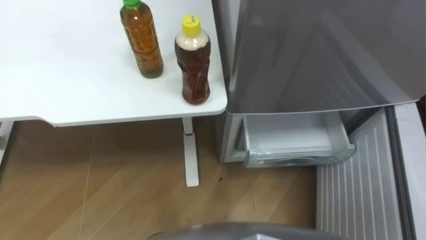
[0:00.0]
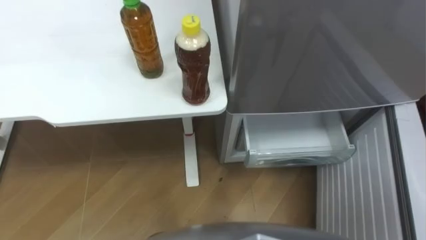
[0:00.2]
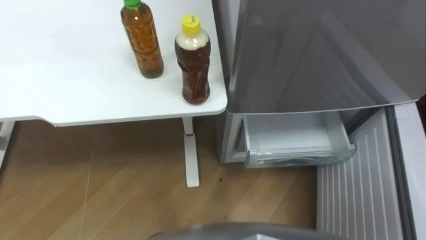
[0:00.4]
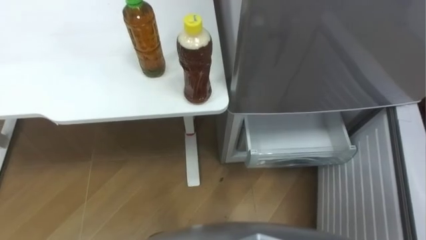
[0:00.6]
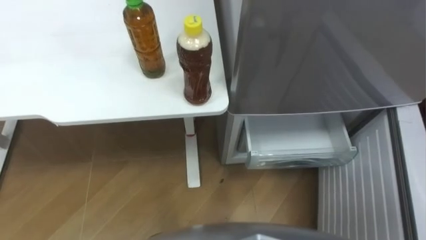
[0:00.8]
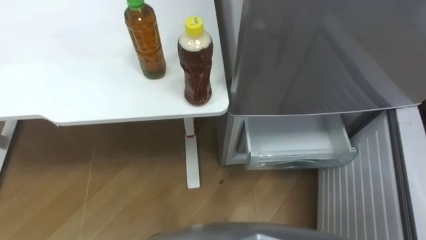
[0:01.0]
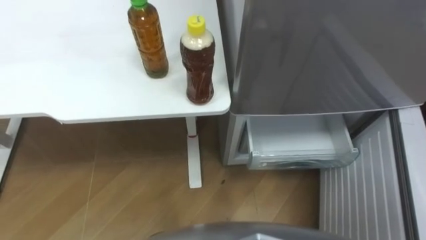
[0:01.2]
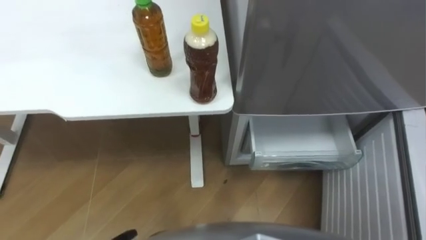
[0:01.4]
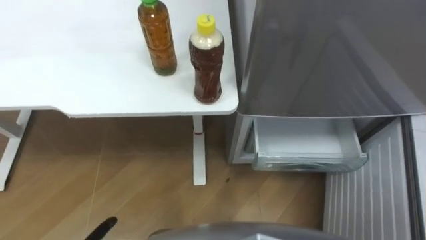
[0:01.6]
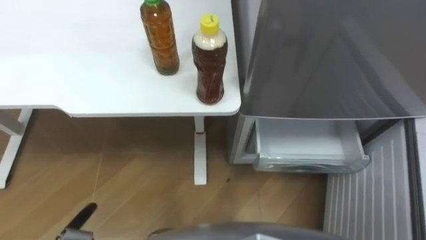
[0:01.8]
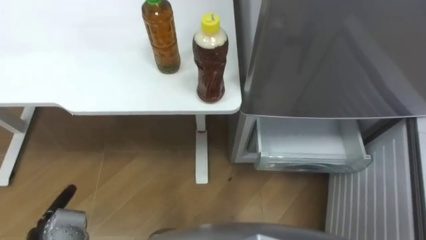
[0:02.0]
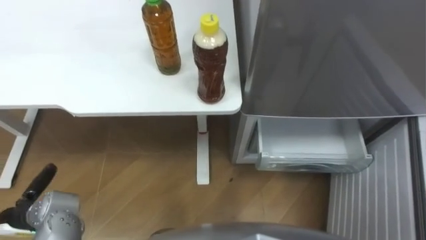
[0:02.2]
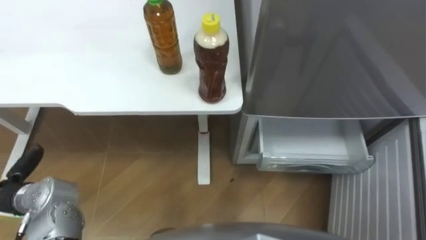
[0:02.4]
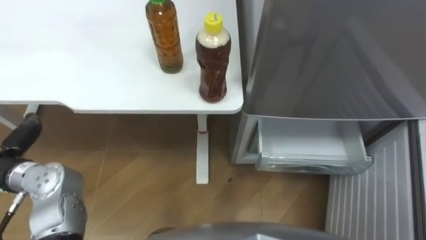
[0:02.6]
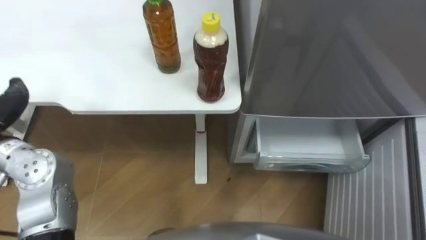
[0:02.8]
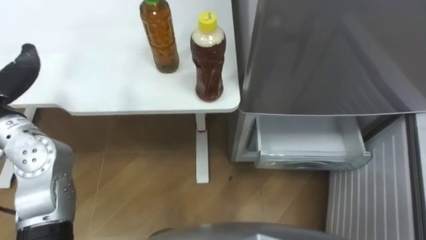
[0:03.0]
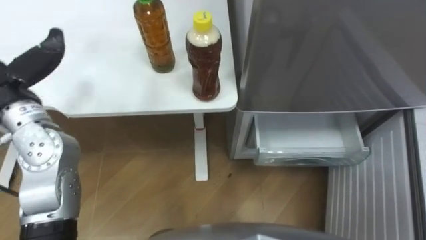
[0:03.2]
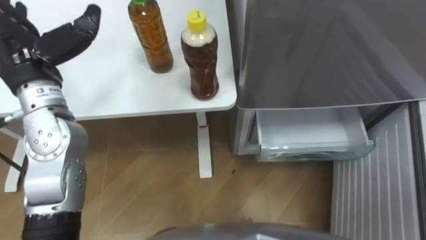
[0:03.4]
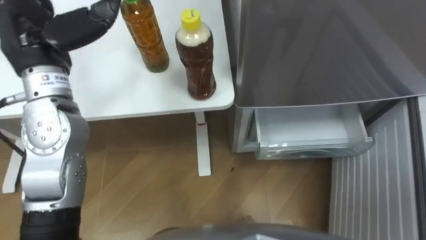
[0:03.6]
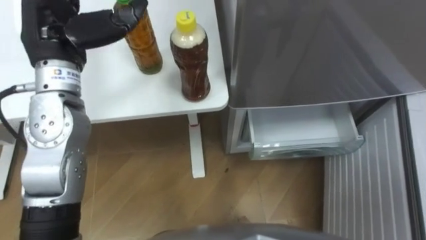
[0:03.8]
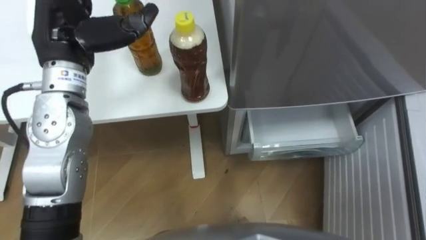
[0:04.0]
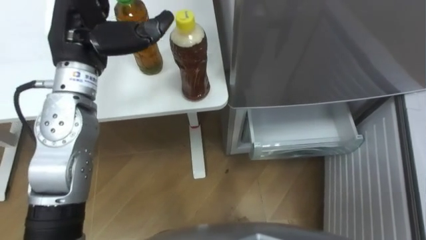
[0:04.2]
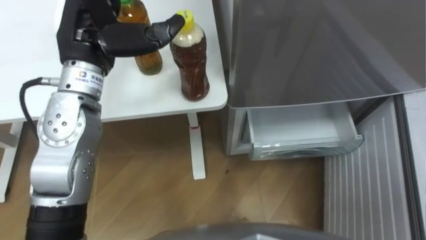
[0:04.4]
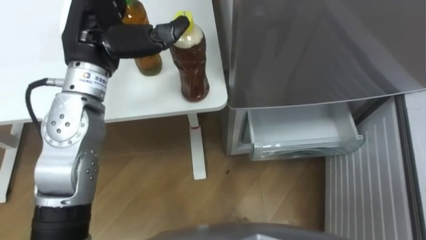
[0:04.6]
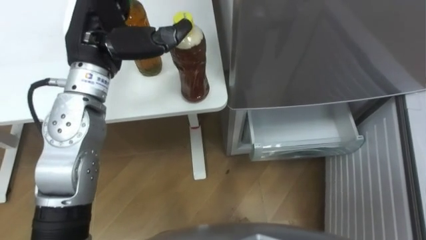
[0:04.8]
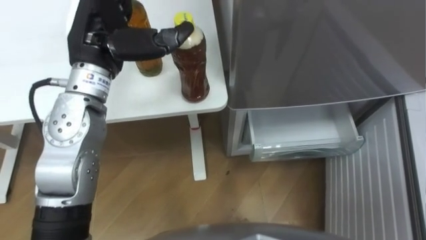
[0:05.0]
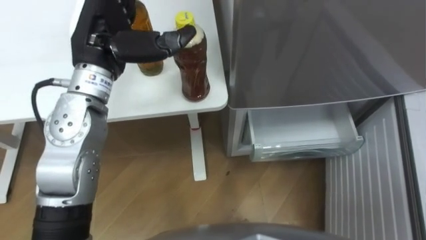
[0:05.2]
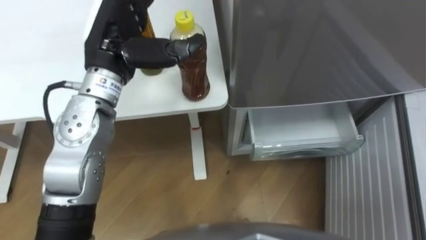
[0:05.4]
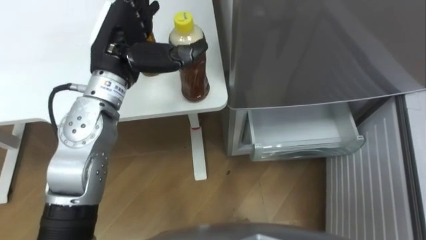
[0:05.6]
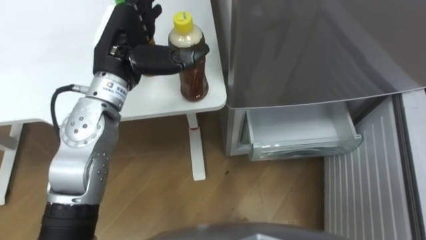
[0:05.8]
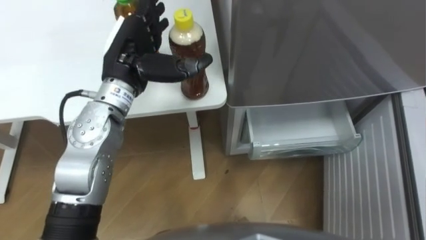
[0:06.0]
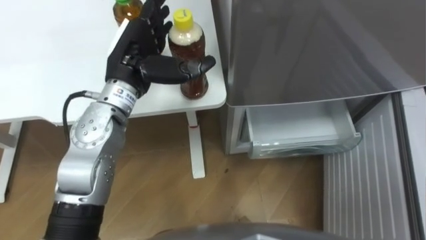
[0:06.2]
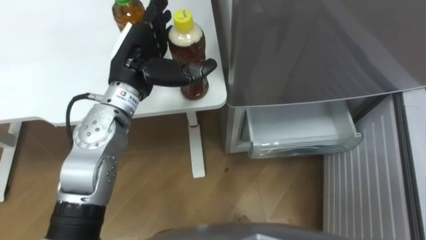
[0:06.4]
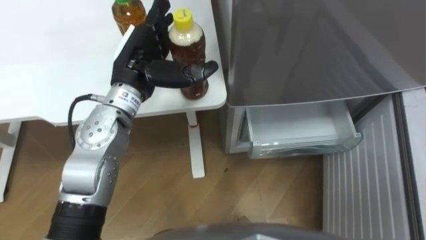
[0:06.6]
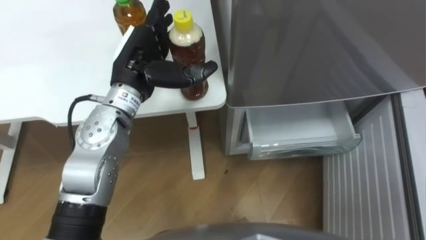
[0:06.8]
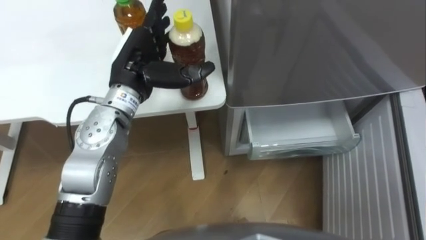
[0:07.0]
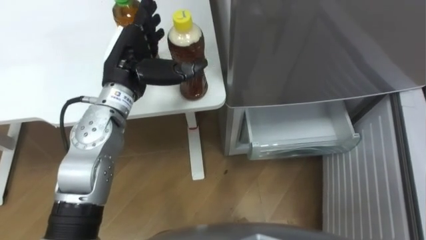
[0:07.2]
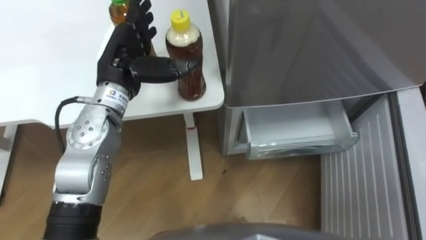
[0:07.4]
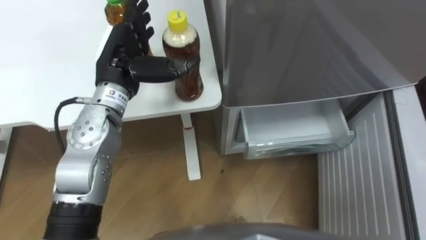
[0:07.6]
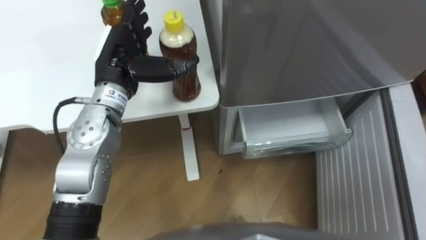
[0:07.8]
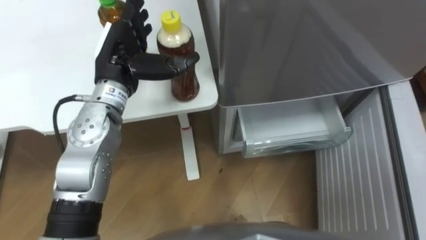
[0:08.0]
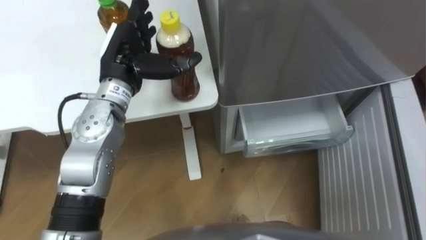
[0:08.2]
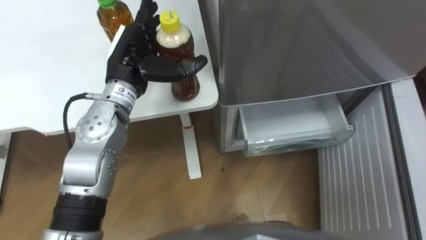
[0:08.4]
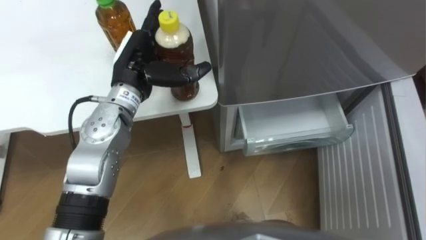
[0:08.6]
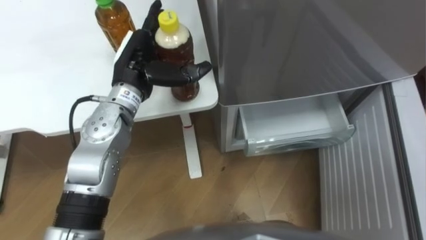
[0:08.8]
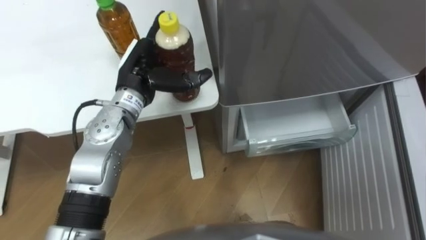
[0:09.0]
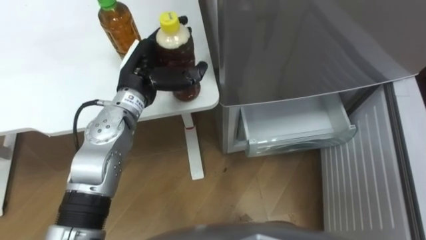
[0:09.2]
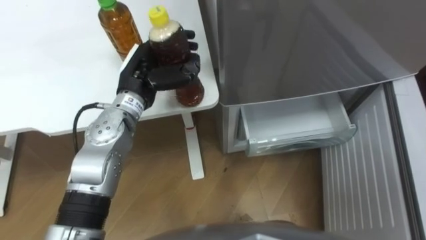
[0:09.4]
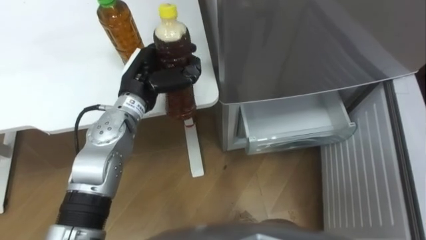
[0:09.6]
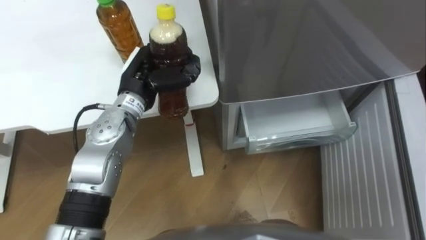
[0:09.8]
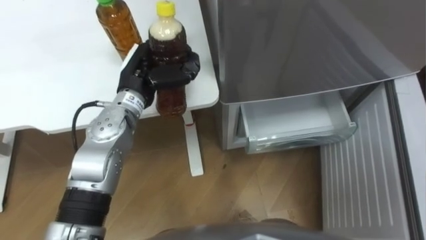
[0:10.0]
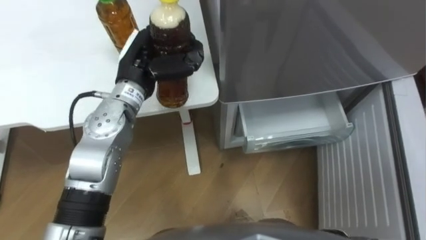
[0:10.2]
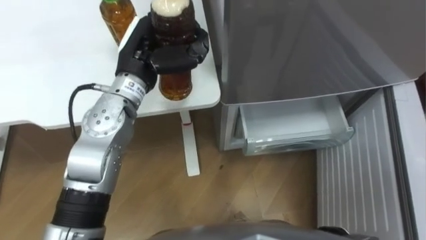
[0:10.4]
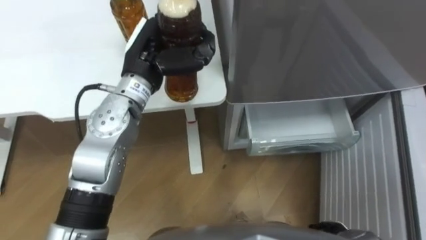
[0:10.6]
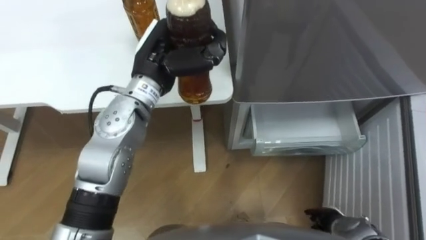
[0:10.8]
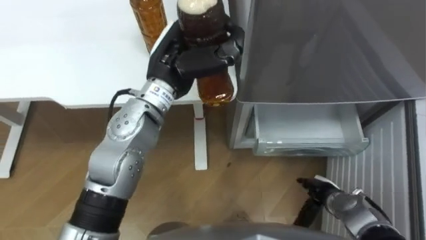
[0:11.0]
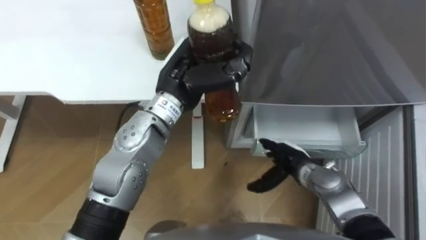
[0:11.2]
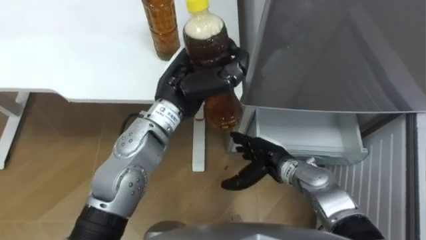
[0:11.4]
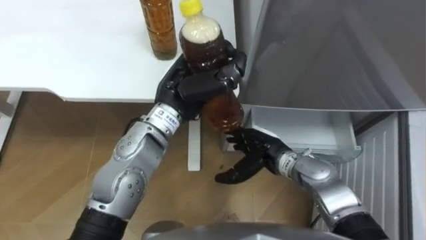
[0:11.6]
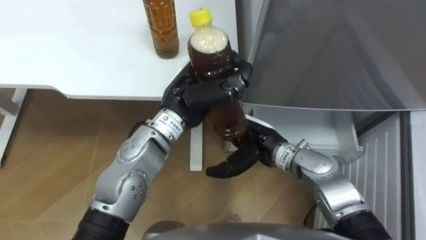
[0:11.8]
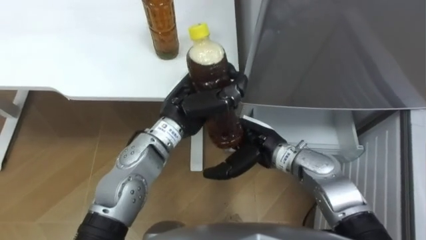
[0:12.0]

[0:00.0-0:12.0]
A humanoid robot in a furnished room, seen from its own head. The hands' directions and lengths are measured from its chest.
Task of the whole recording: Place the drink on the table on the bottom shelf of the refrigerator, then close the drawer and the refrigerator door.
0:04.4 to 0:06.0: The left hand heads downward, covering approximately 5 cm.
0:09.0 to 0:10.4: The left hand closes its fingers.
0:10.4 to 0:12.0: The left hand travels to the right, downward and backward by roughly 10 cm.

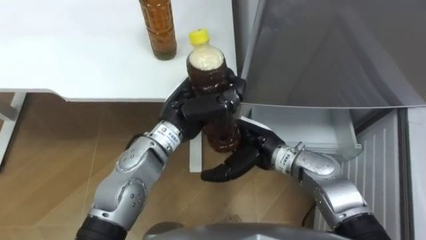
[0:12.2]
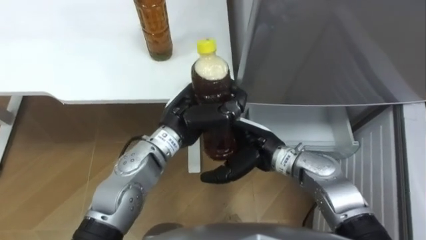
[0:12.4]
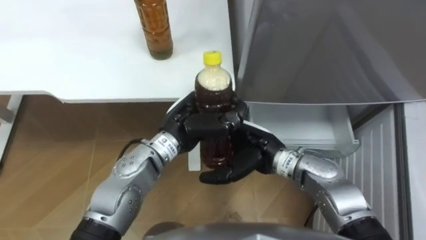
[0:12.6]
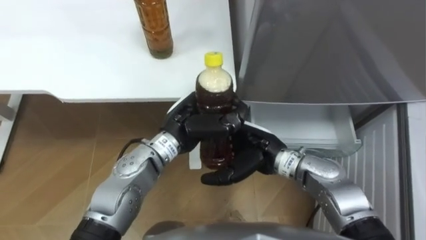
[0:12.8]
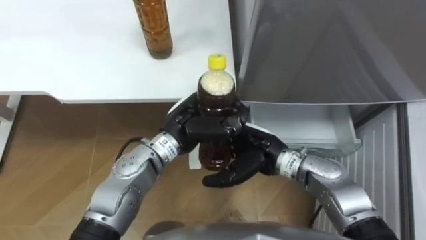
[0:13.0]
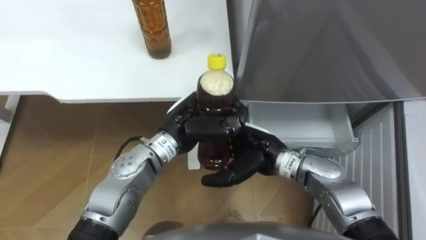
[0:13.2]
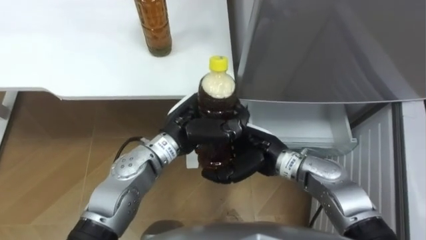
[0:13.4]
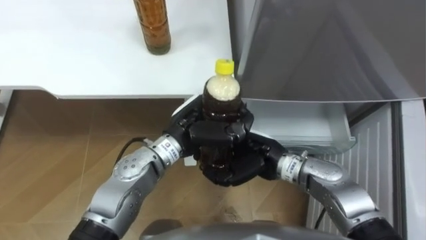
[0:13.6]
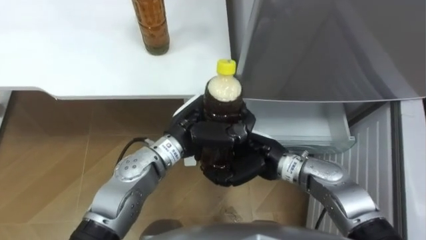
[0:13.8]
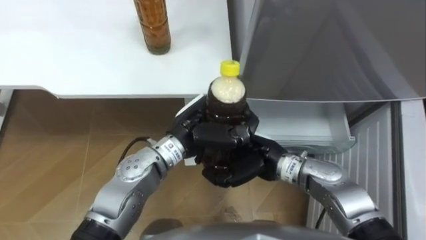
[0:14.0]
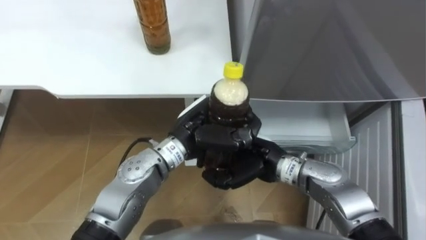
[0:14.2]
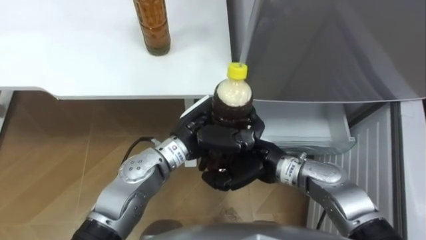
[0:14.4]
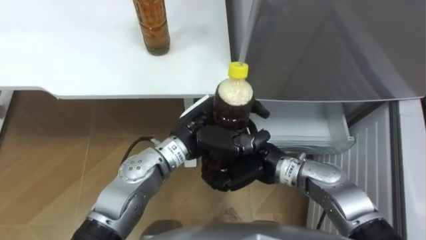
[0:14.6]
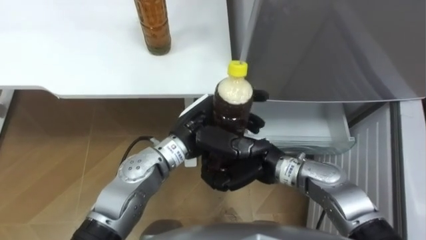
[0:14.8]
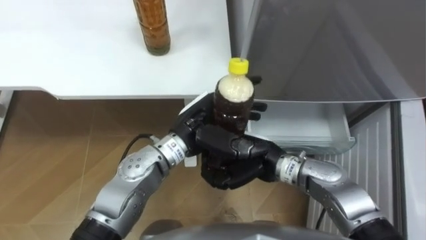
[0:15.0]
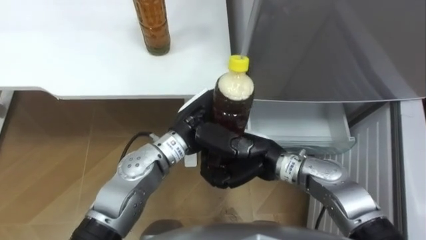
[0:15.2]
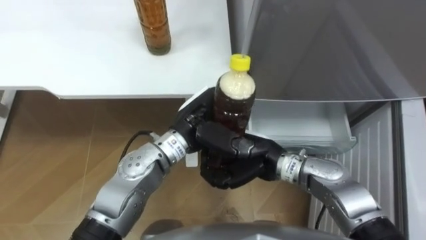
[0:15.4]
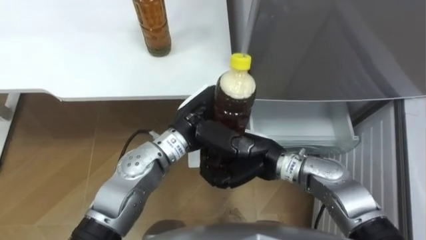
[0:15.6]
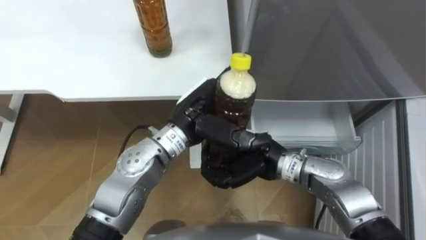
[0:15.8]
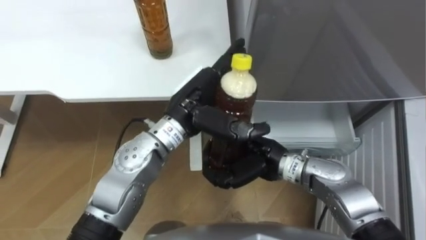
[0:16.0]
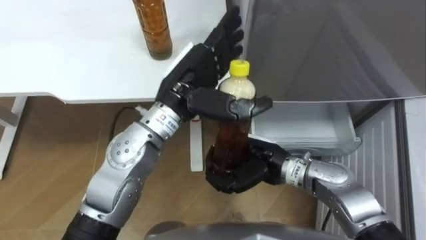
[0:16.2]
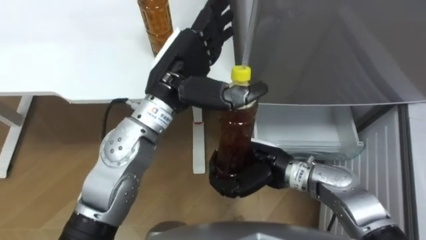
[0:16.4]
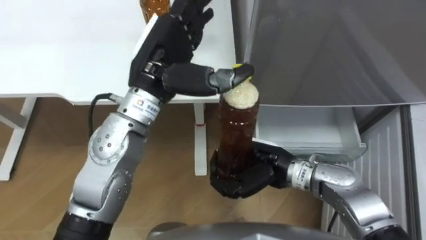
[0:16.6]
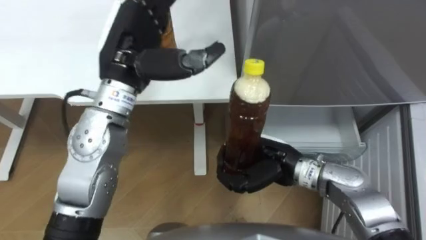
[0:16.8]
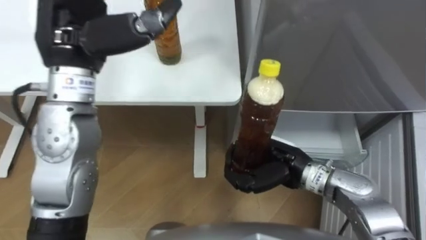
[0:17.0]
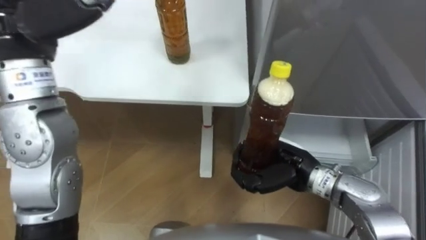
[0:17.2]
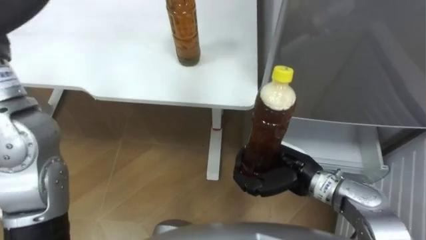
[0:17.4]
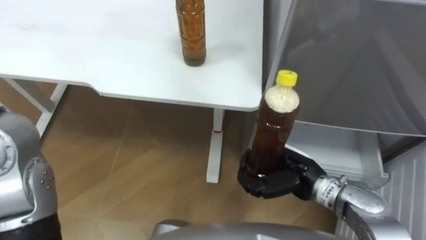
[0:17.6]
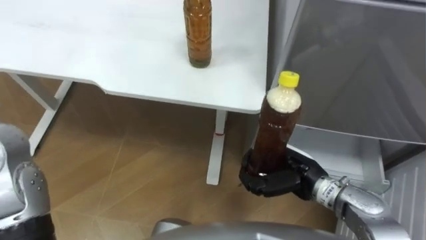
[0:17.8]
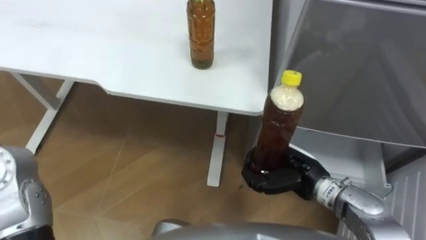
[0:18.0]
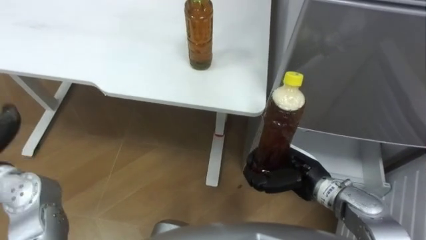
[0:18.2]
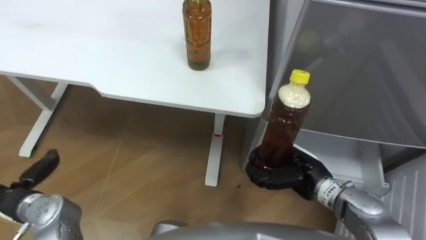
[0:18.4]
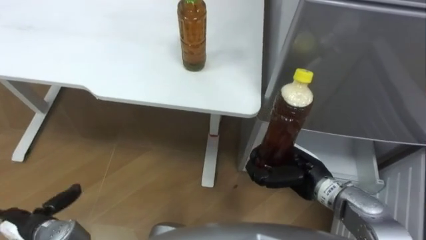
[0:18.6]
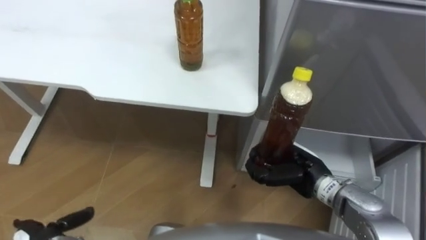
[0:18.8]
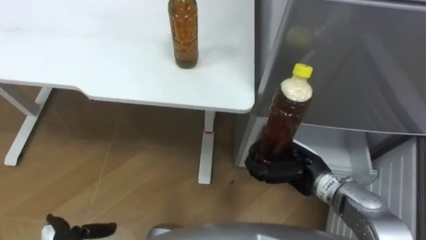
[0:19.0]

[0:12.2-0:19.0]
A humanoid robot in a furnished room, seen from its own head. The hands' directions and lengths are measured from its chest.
Task of the whole recording: Place the drink on the table on the bottom shelf of the refrigerator, then close the drawer and the refrigerator door.
0:12.2 to 0:13.6: The right hand closes up.
0:13.6 to 0:15.0: The right hand closes up. Meanwhile the left hand opens up.
0:15.0 to 0:16.2: The left hand is displaced upward by some 10 cm.
0:16.2 to 0:17.6: The right hand heads to the right, covering some 5 cm.
